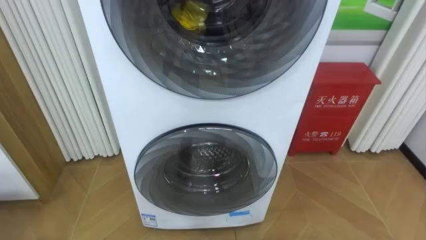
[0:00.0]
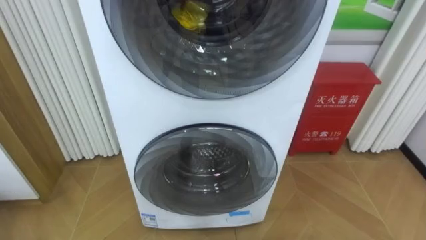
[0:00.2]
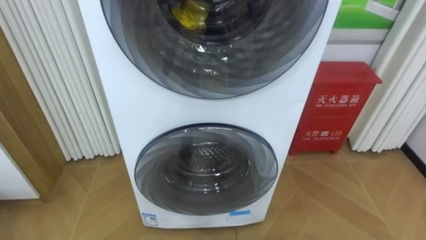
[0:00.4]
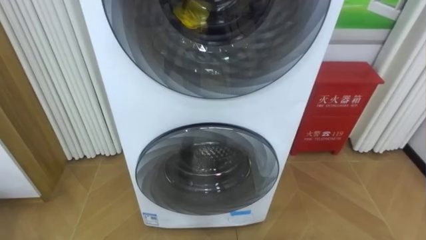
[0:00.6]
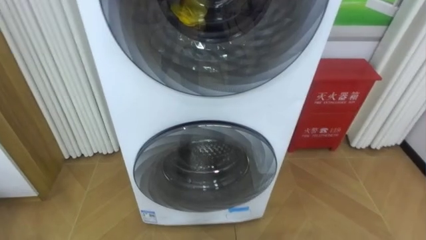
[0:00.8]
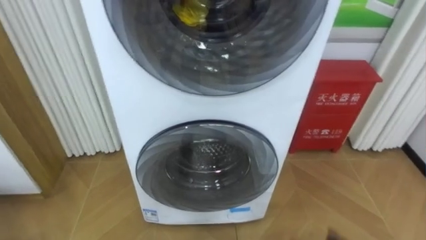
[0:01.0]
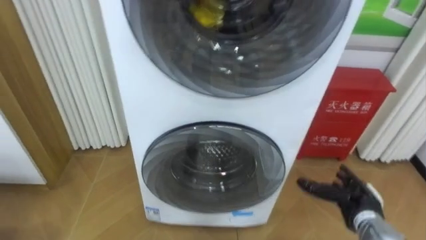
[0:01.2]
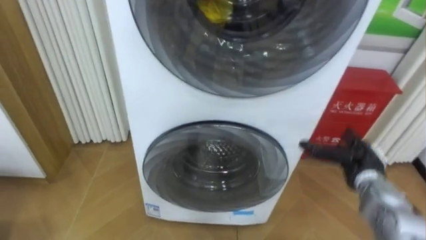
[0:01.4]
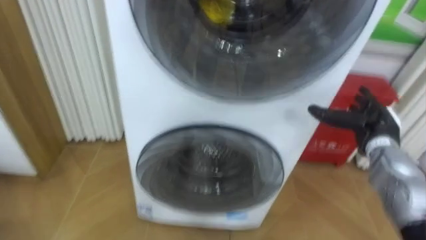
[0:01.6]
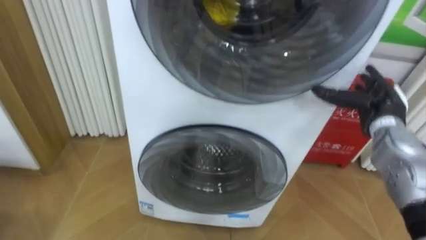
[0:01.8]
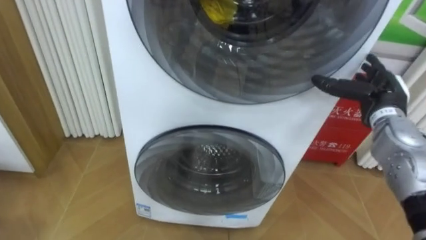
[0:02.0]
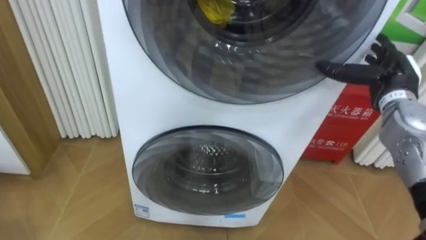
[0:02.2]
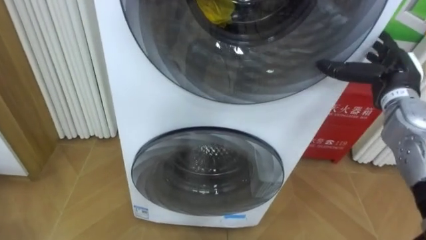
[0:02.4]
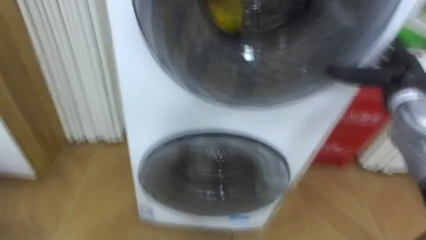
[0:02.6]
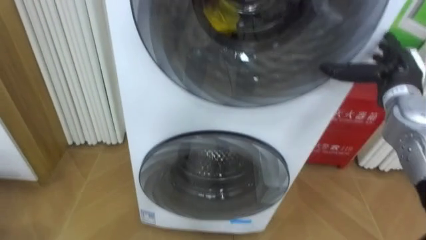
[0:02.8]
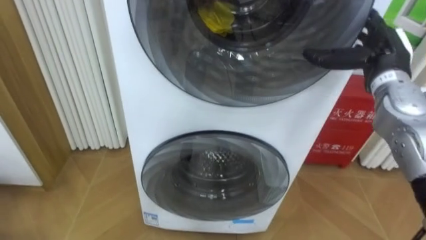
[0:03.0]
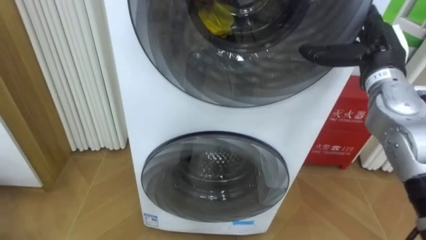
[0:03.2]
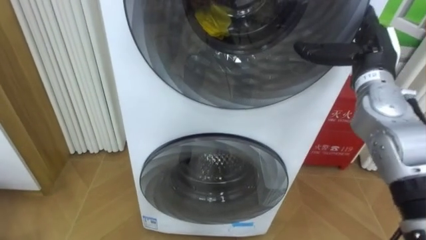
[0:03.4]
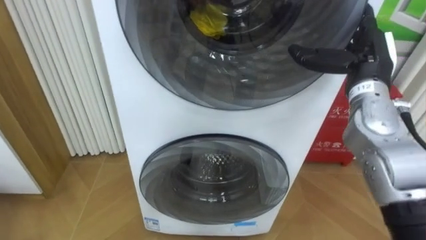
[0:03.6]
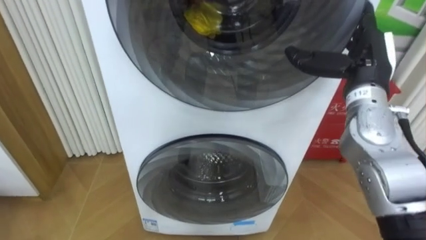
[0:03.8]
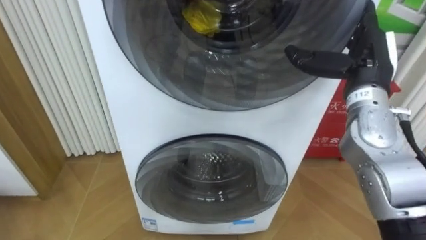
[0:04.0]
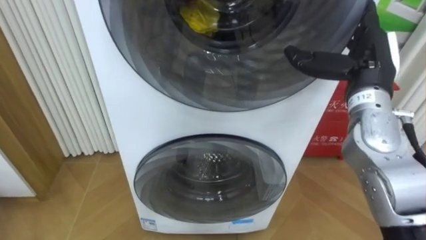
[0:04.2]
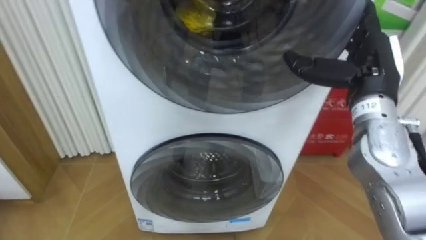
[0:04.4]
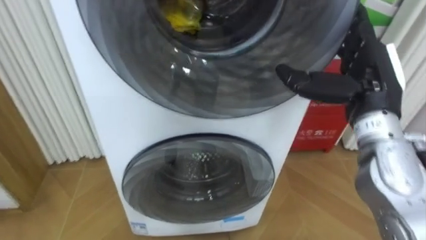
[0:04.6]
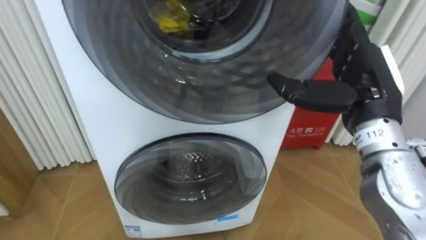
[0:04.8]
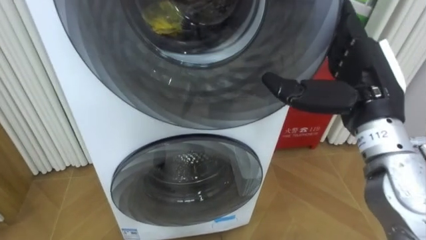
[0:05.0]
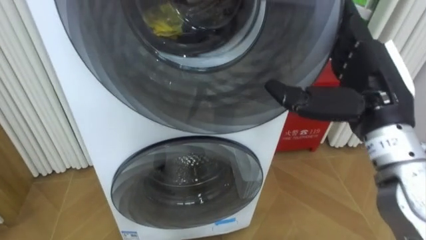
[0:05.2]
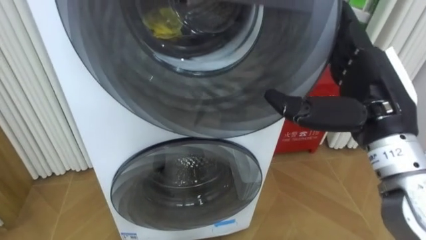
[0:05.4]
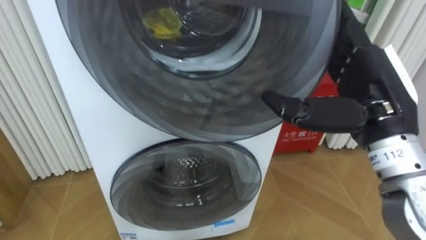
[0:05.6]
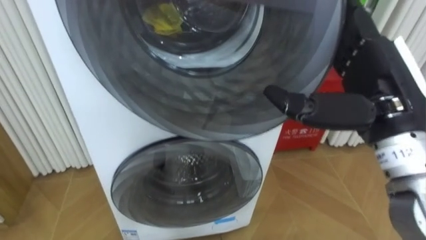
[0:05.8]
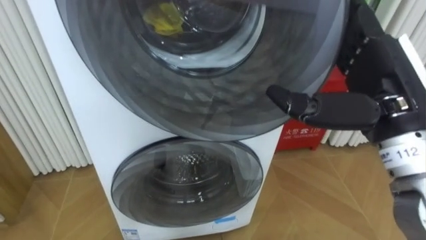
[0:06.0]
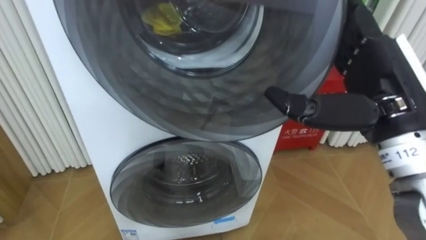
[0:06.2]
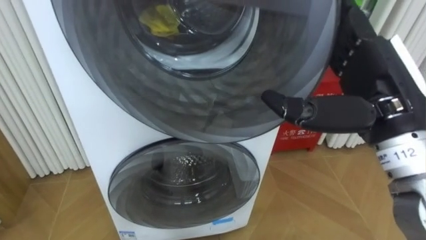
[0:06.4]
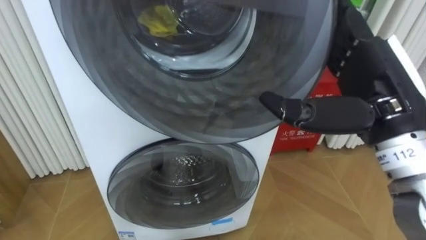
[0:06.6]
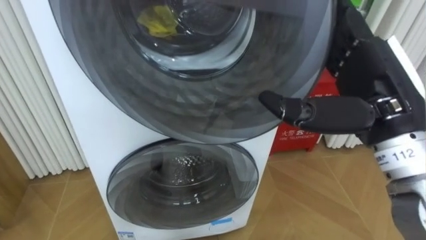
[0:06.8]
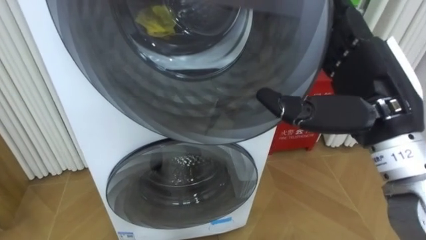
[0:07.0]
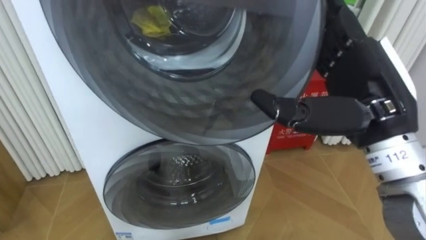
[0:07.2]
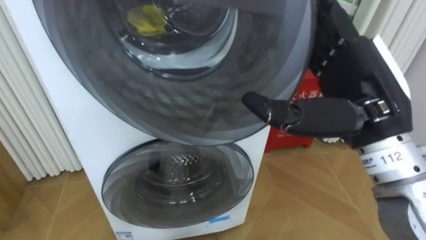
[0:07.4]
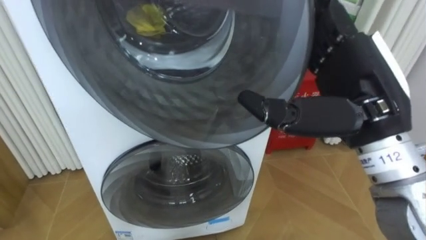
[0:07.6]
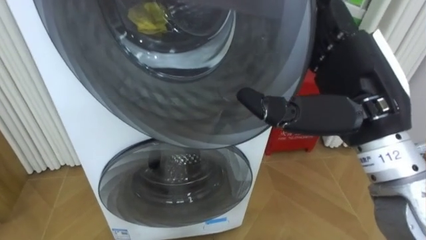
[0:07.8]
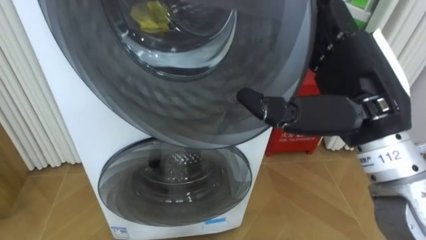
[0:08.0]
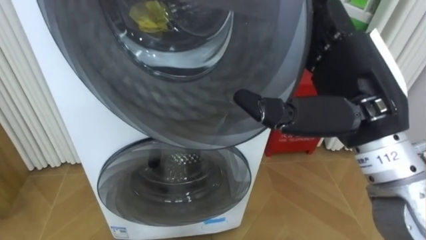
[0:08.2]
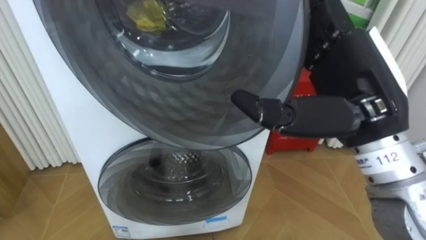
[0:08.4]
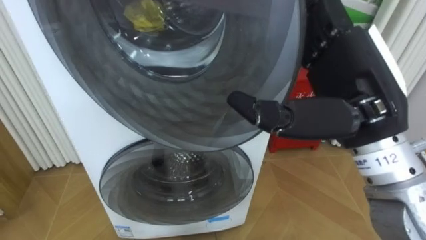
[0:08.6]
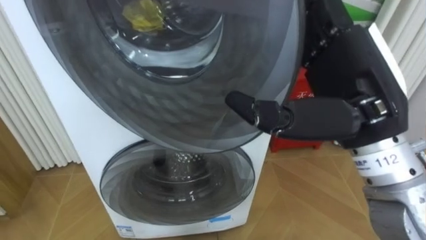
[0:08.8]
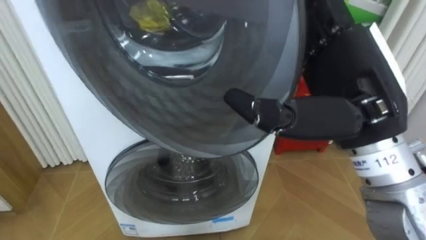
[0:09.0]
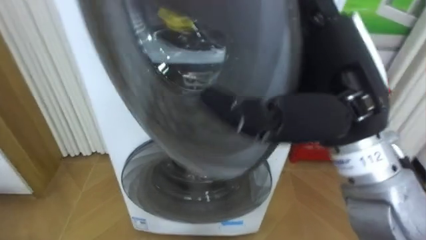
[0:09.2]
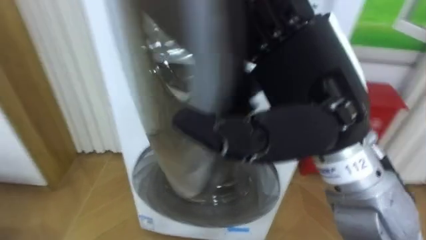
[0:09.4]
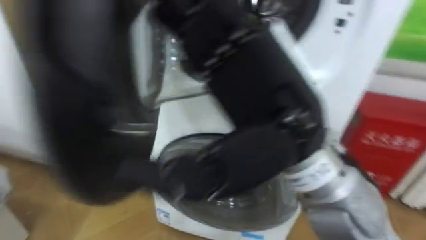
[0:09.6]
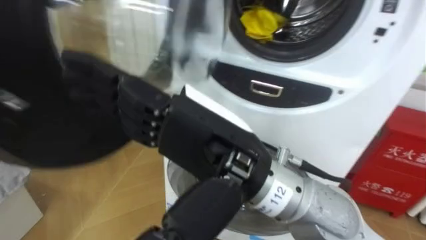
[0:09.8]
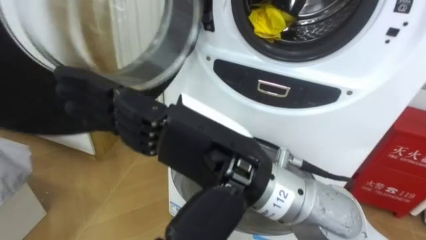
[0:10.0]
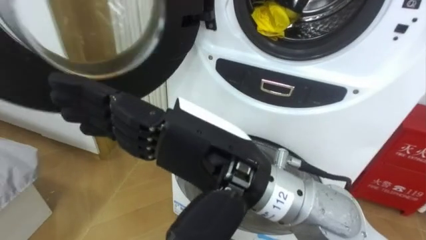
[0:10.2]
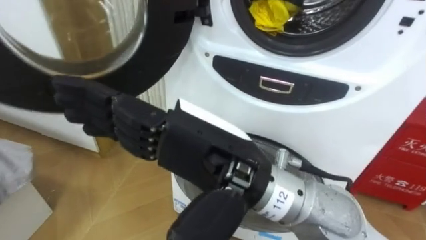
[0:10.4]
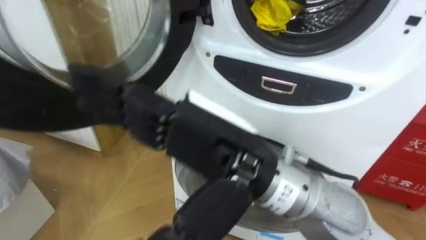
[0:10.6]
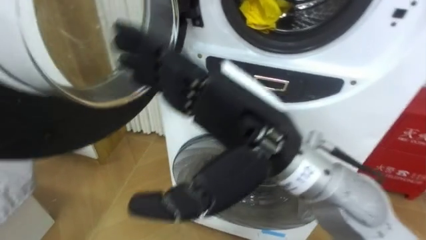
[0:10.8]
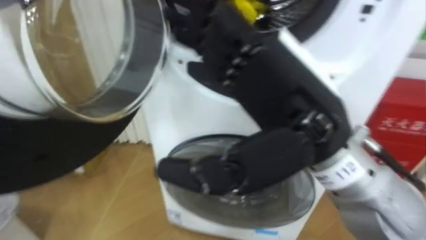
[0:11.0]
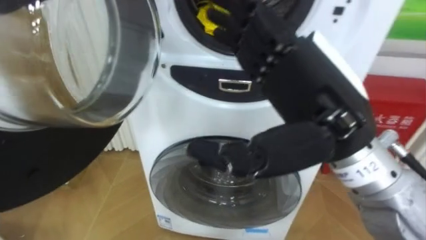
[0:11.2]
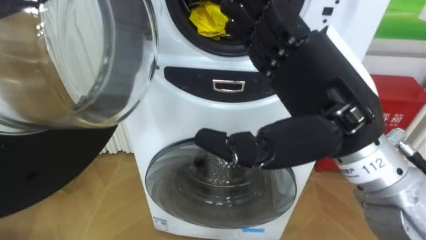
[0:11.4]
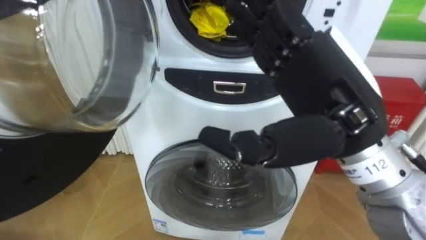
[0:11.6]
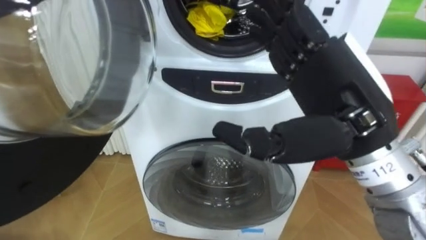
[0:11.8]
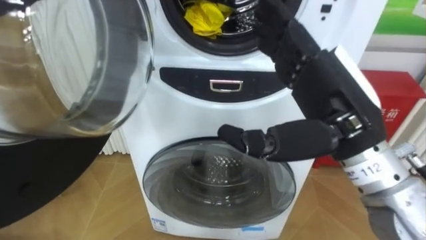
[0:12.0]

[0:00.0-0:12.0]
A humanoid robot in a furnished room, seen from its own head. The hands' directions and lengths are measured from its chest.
Task of the whole recording: Open the washing machine door, take out the yellow clothes, place them in the box on the right, and close the washing machine door.
0:01.6 to 0:03.0: The right hand heads upward, covering roughly 15 cm.
0:03.0 to 0:04.4: The right hand travels backward by some 5 cm.
0:04.4 to 0:06.0: The right hand moves backward, roughly 10 cm.
0:09.0 to 0:10.4: The right hand shifts some 15 cm to the left.
0:10.4 to 0:12.0: The right hand is displaced to the right and forward by roughly 15 cm.

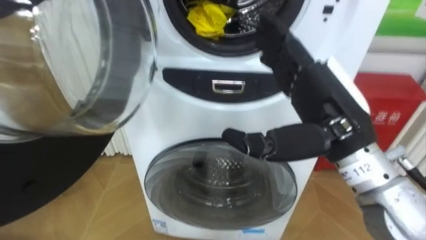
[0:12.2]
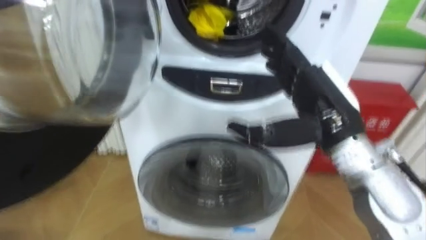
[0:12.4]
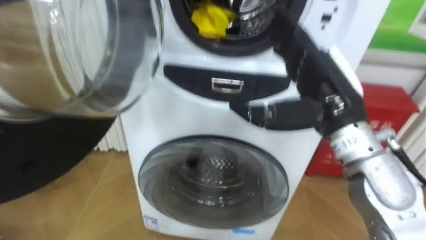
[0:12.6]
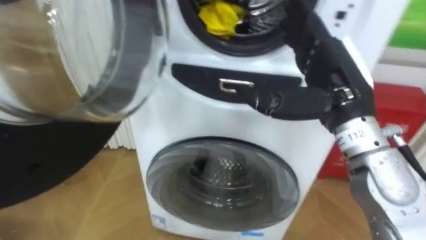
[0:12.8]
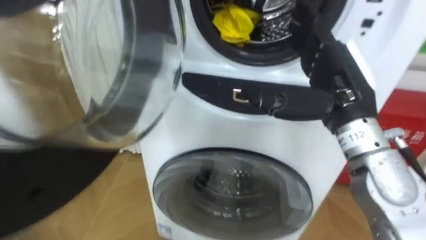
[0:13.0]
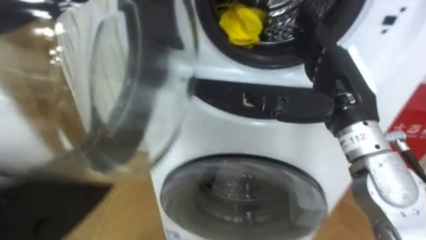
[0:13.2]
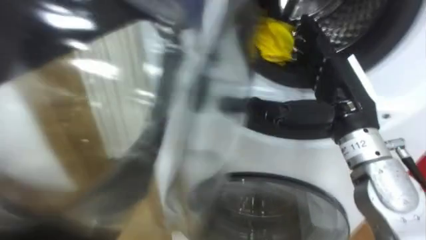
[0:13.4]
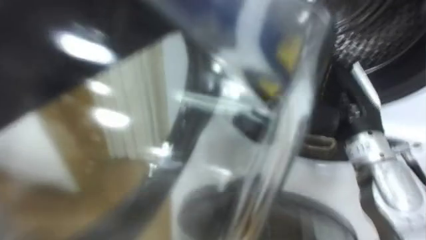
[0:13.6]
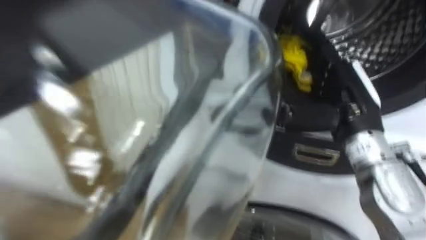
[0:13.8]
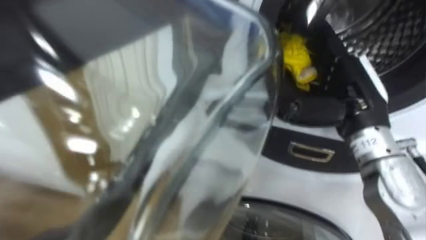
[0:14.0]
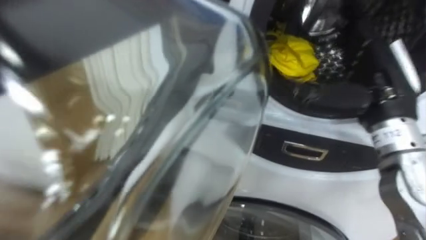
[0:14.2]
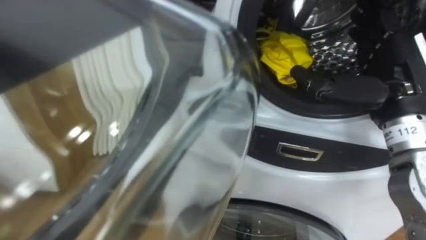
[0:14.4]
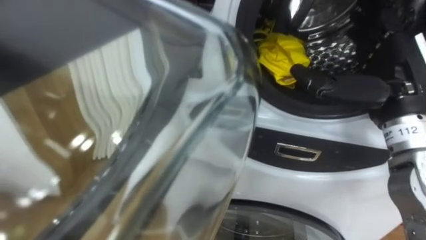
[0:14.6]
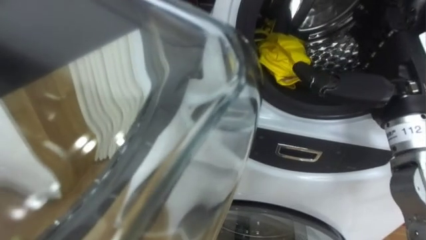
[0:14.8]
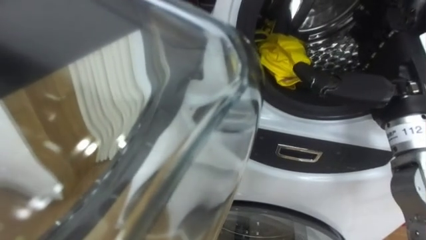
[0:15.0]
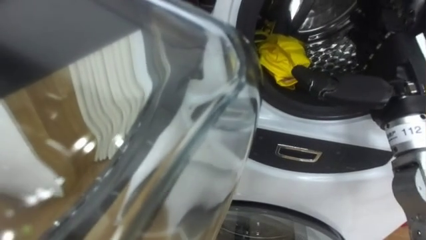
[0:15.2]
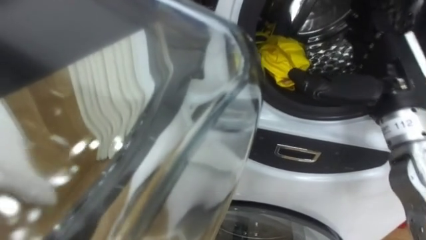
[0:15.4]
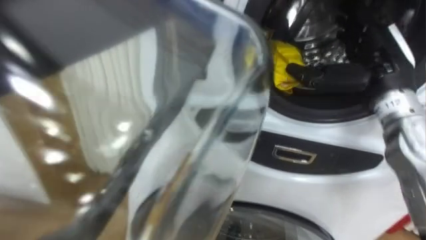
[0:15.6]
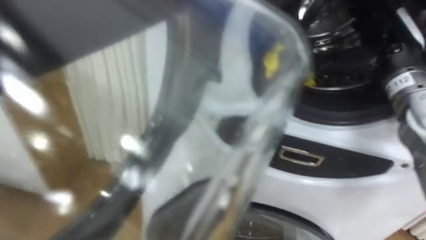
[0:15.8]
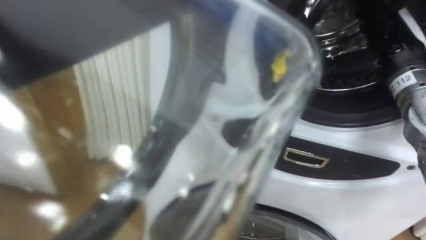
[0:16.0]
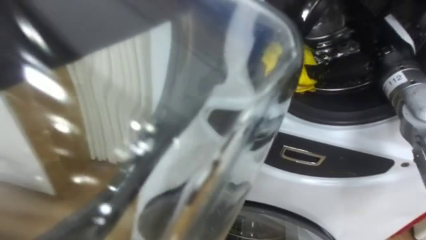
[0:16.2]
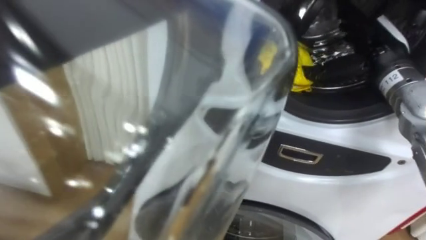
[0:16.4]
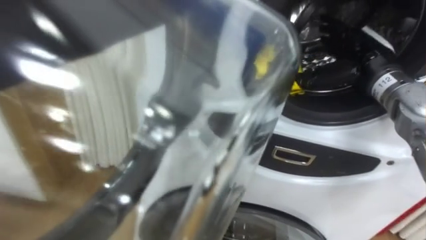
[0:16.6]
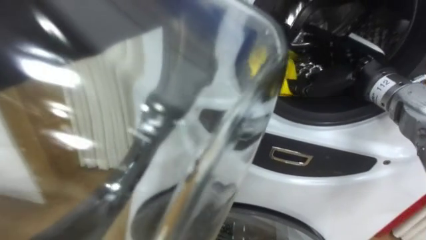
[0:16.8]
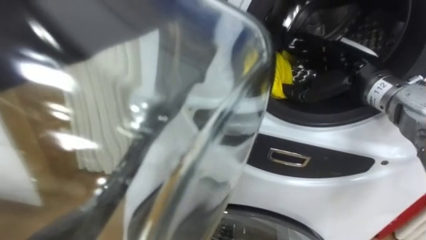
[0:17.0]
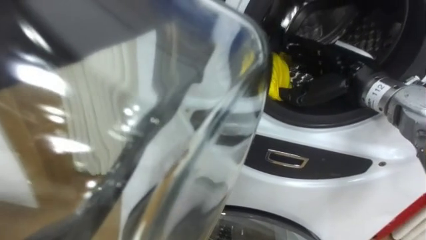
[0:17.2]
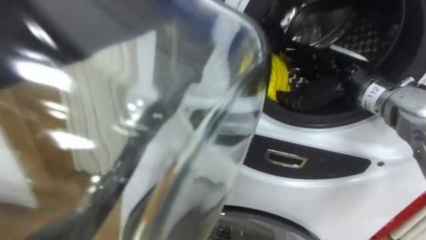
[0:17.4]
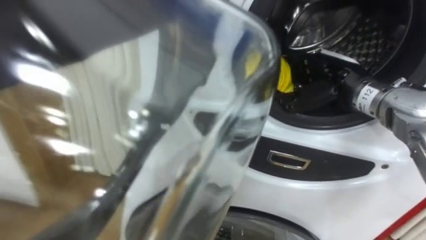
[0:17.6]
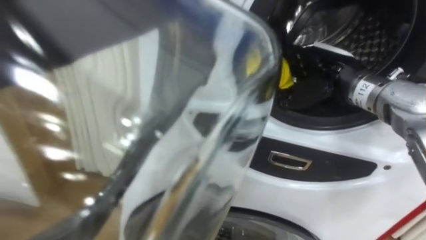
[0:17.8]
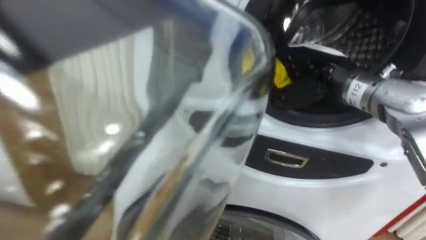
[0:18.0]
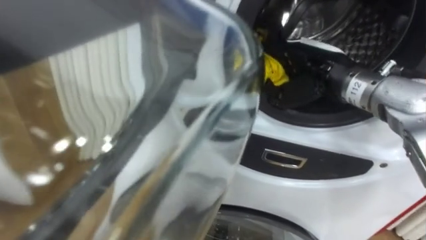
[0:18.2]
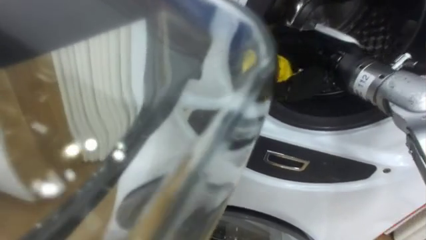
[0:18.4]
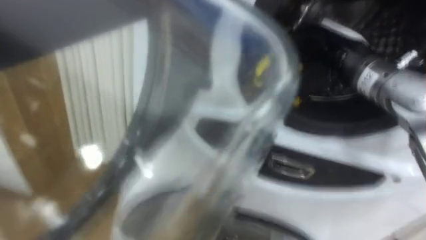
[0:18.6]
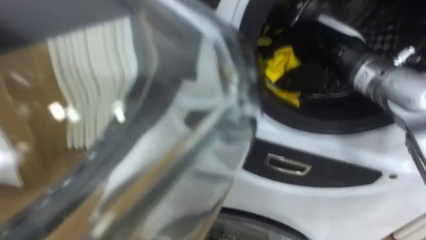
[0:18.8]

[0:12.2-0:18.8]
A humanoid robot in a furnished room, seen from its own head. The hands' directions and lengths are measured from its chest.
Task of the whole recording: Open the washing machine door, take out the yellow clothes, place them in the box on the right, and close the washing machine door.
0:12.2 to 0:13.8: The right hand moves forward and to the right, about 5 cm.
0:13.8 to 0:15.4: The right hand changes place by approximately 5 cm.
0:15.4 to 0:17.2: The right hand shifts about 10 cm forward.
0:17.2 to 0:18.8: The right hand shifts by approximately 5 cm, and closes.
